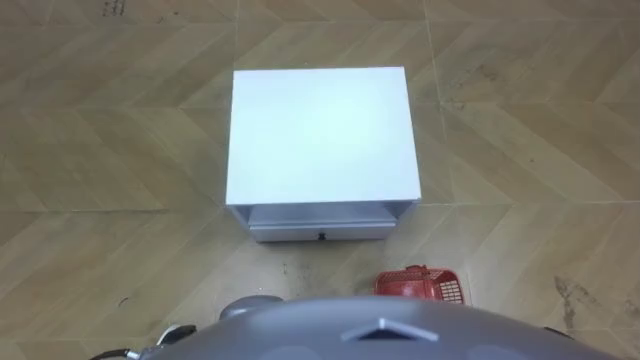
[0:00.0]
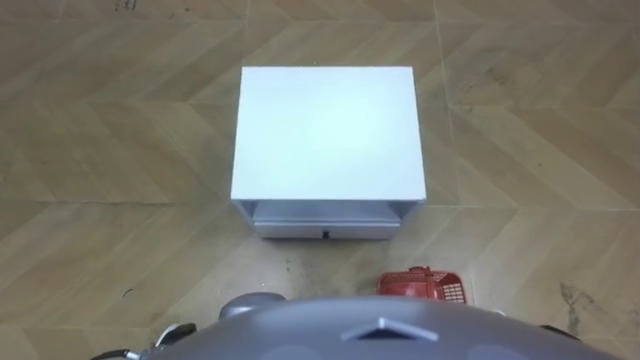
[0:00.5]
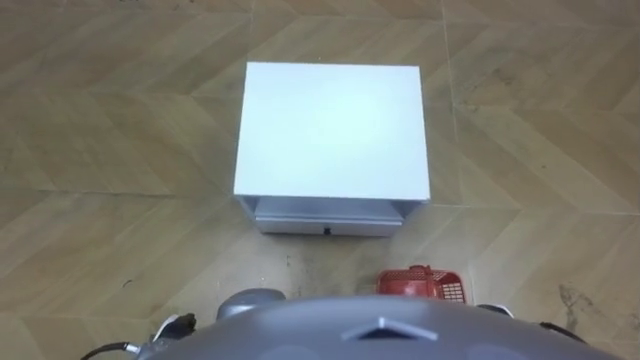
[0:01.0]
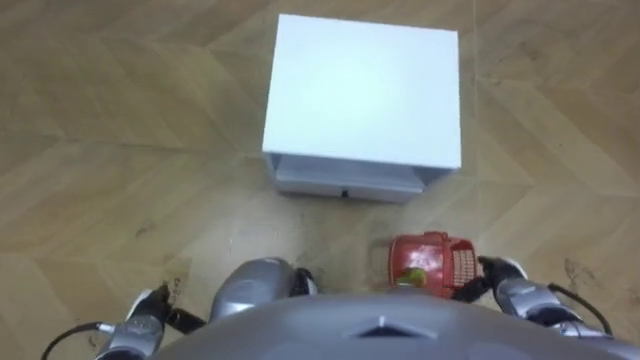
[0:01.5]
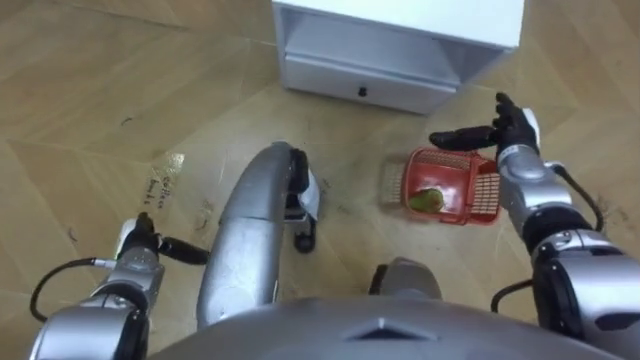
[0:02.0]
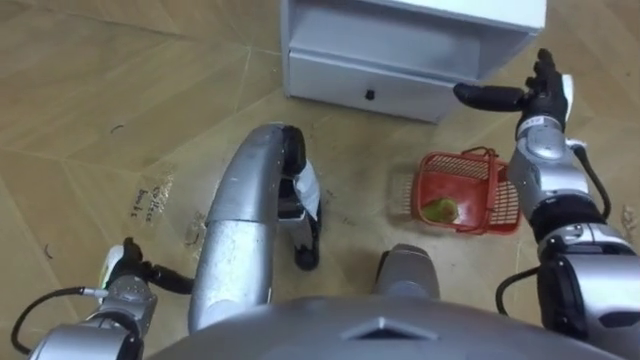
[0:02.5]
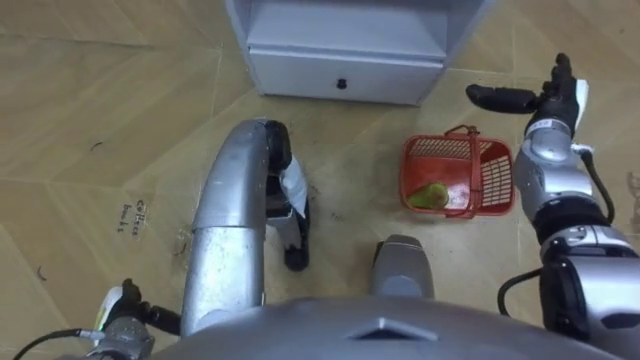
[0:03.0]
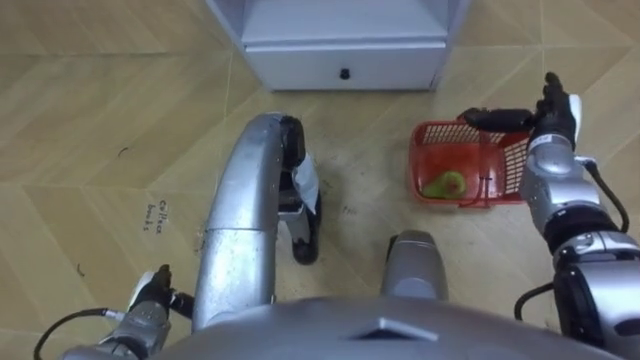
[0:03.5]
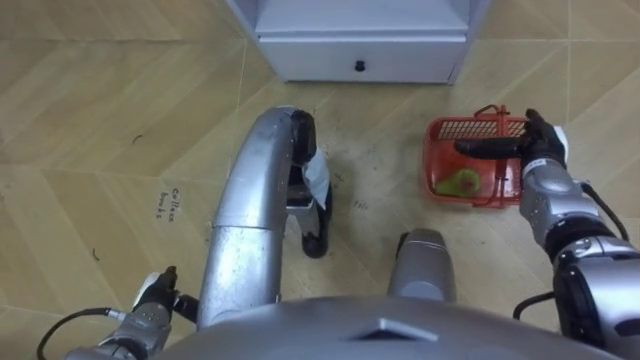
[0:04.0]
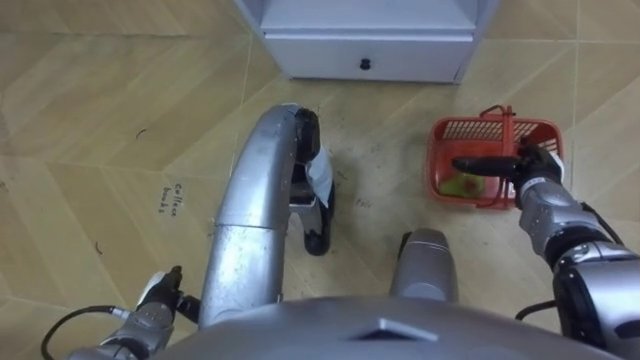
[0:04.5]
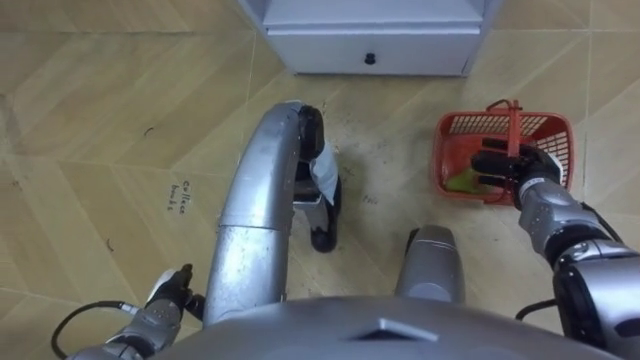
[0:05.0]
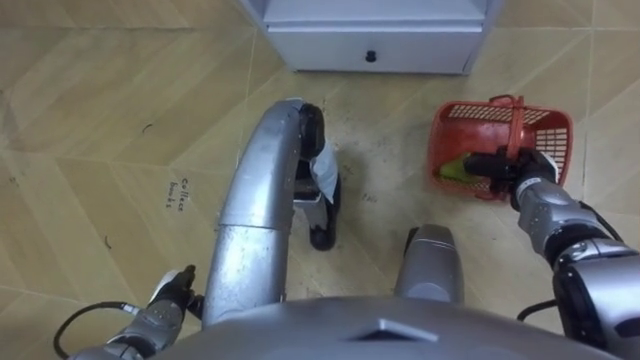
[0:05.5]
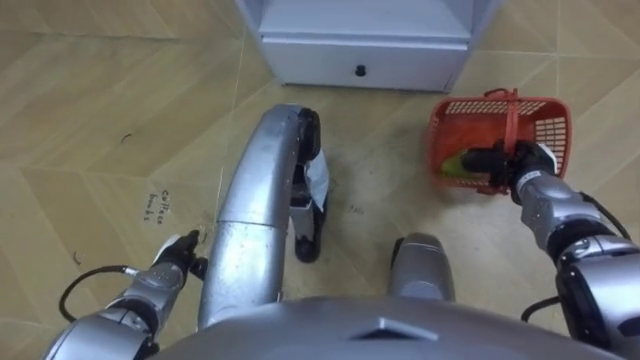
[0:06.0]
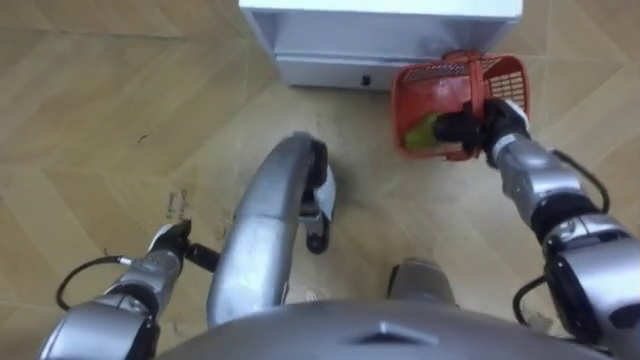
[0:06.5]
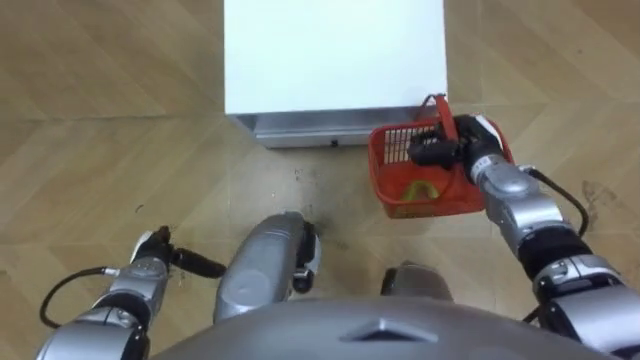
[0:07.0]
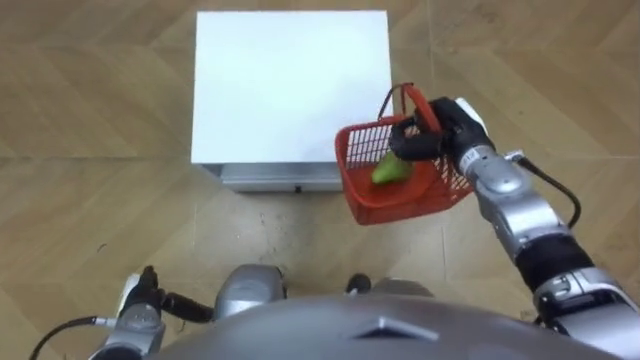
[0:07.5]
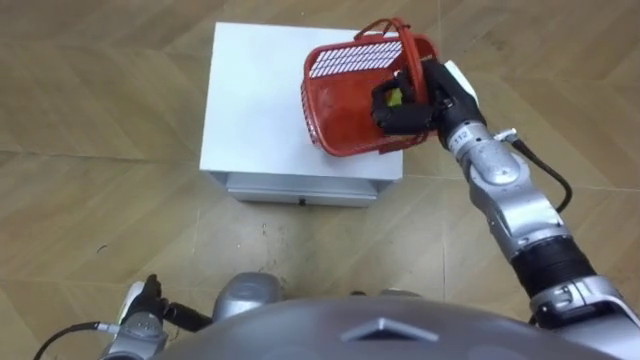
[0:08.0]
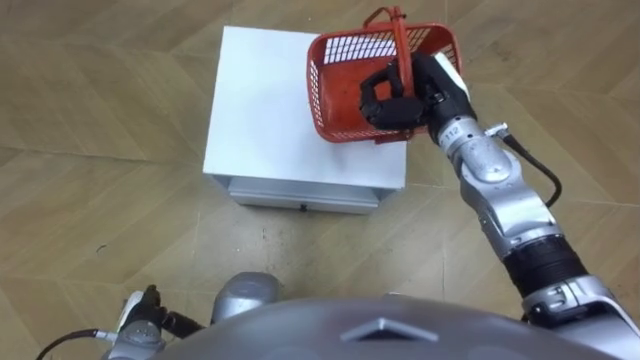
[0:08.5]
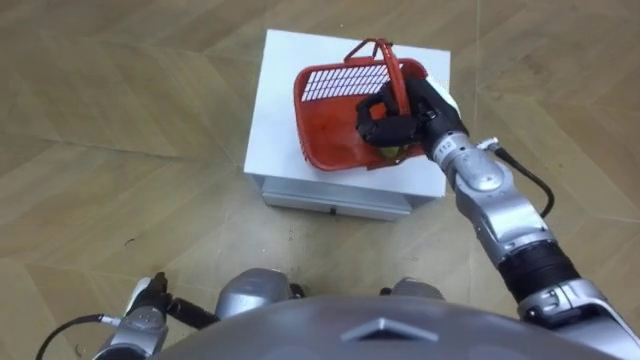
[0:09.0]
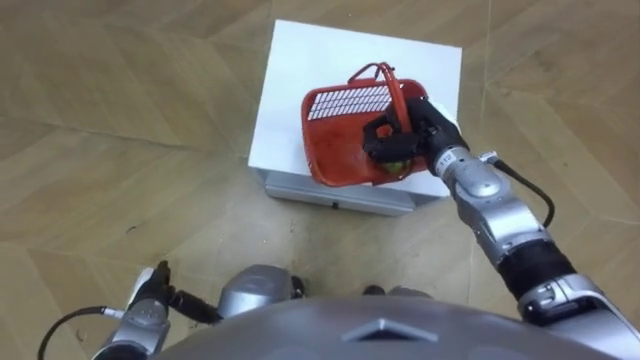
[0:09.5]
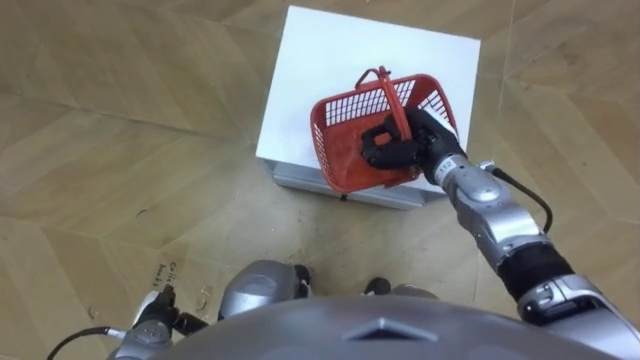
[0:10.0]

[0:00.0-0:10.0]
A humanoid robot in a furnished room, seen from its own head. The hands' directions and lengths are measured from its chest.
Task of the whole recording: Pick up the fruit basket from the floor and place it on the cabinet.
0:02.0 to 0:04.0: The left hand shifts approximately 10 cm backward.
0:04.0 to 0:06.0: The left hand is displaced forward by some 5 cm, while the right hand closes up.
0:06.0 to 0:08.0: The right hand moves to the left, upward and forward, about 20 cm. The left hand is displaced backward by approximately 5 cm.
0:08.0 to 0:10.0: The right hand is displaced downward by some 5 cm.

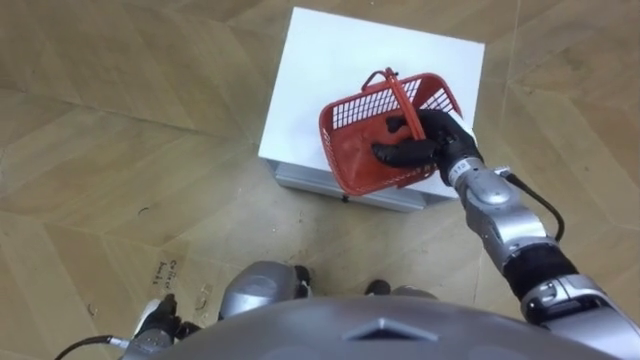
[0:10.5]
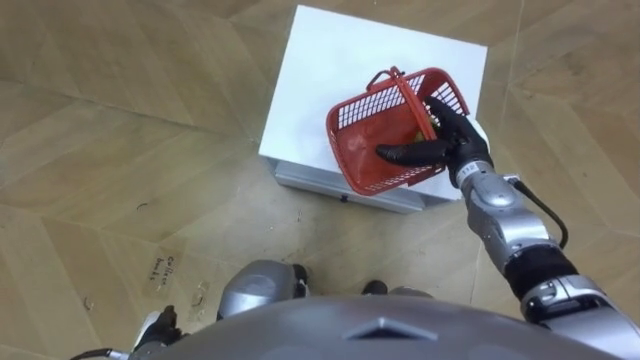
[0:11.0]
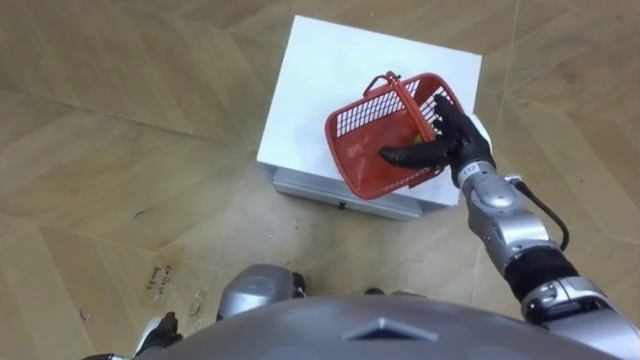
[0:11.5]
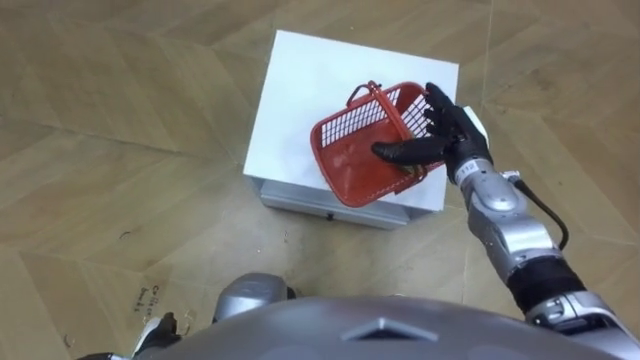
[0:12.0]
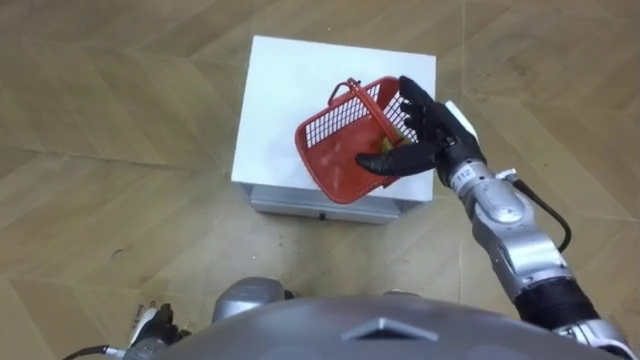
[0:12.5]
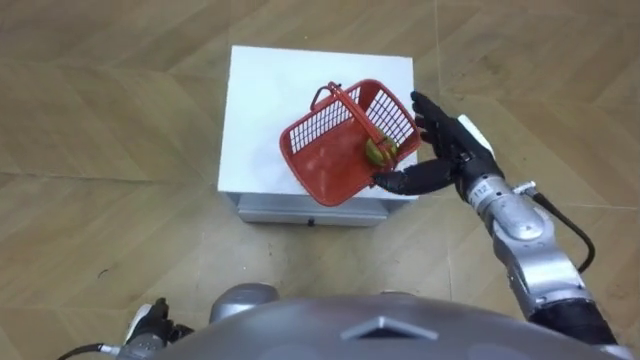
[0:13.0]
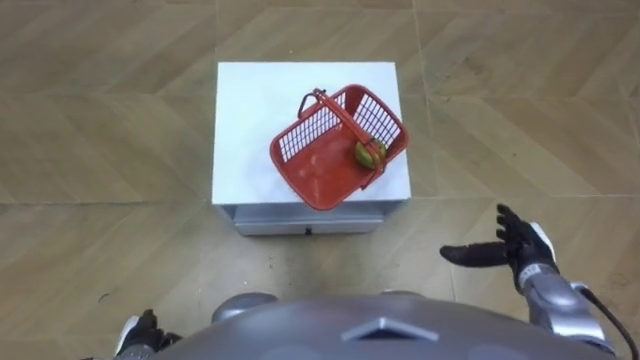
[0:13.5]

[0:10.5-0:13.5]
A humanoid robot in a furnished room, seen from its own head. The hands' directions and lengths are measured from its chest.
Task of the whole recording: Pick up the fruit basket from the floor and place it on the cabinet.
0:10.5 to 0:12.0: The right hand opens up.
0:12.0 to 0:13.5: The right hand is displaced backward, to the right and downward by some 20 cm.

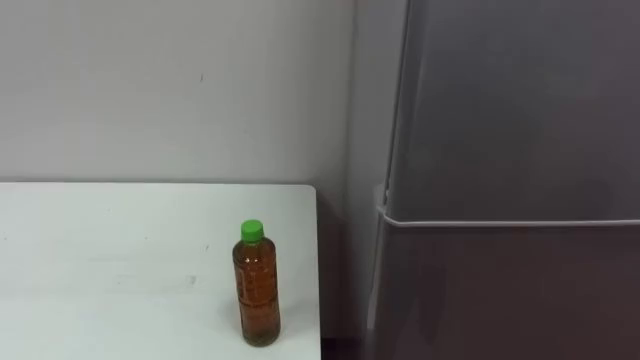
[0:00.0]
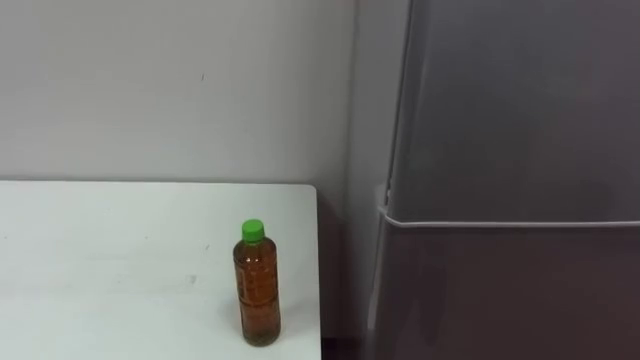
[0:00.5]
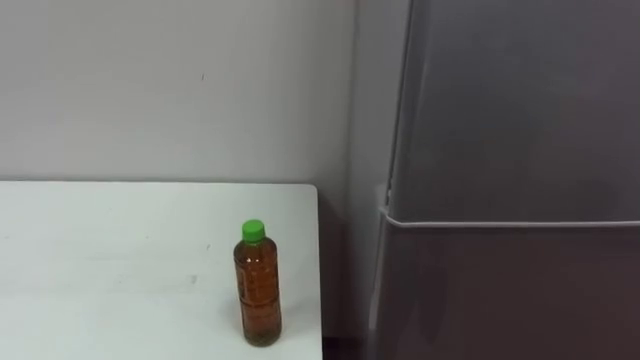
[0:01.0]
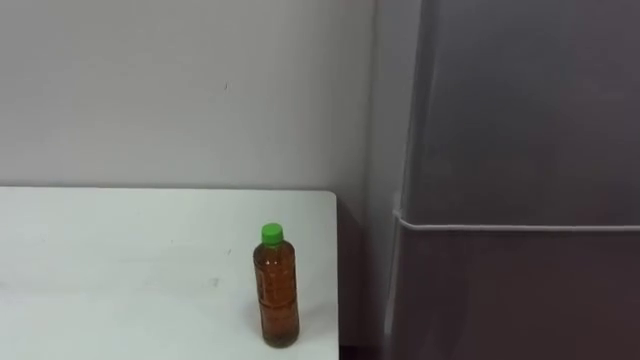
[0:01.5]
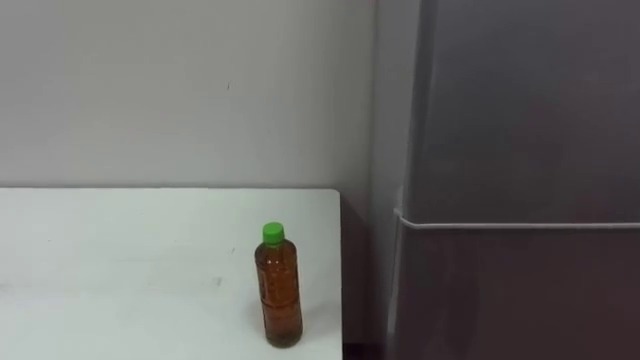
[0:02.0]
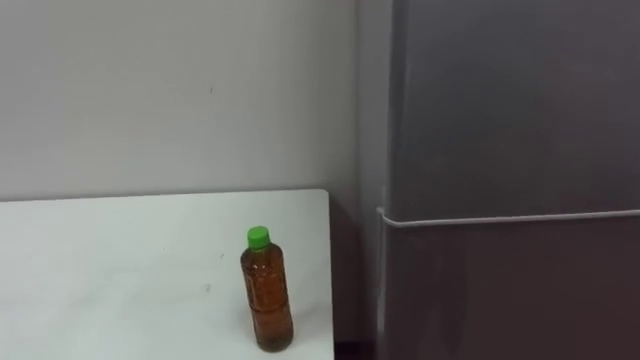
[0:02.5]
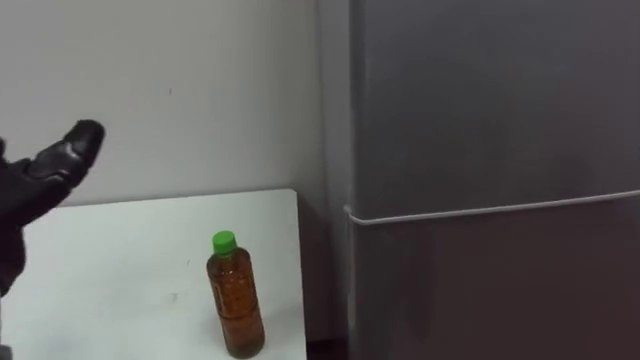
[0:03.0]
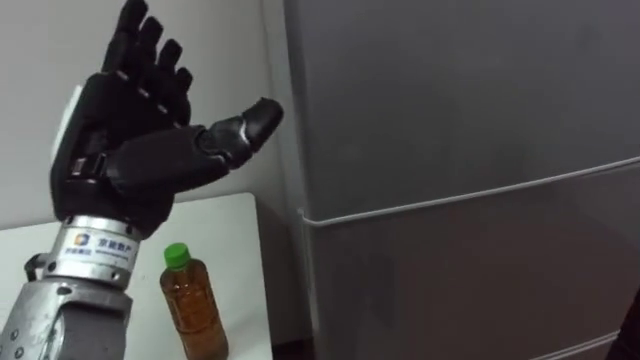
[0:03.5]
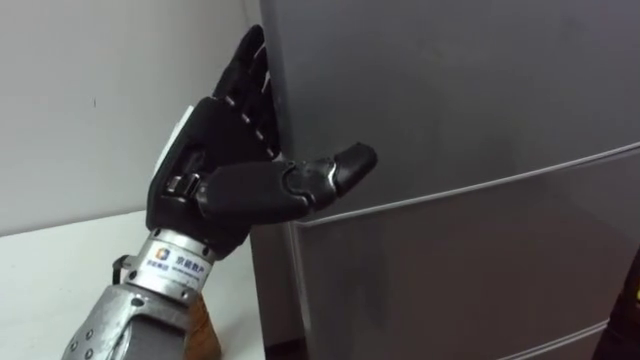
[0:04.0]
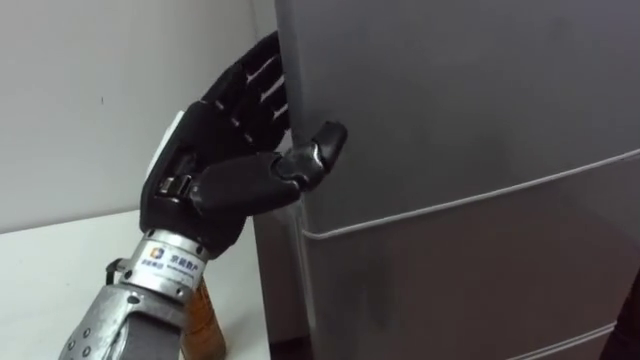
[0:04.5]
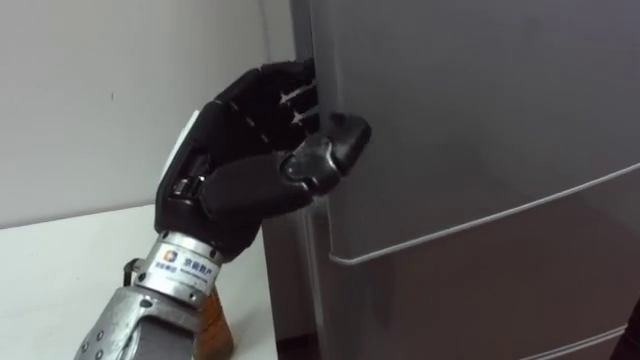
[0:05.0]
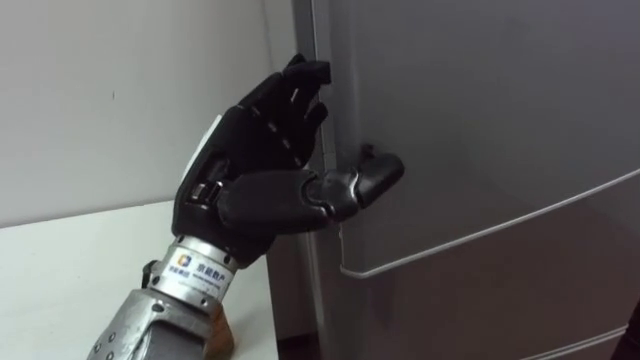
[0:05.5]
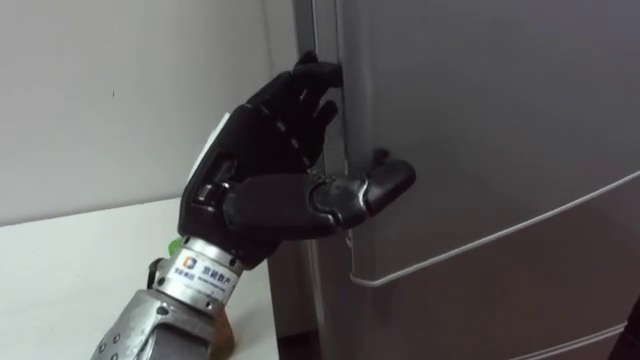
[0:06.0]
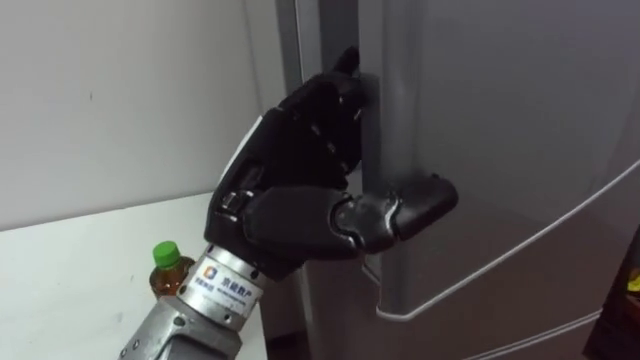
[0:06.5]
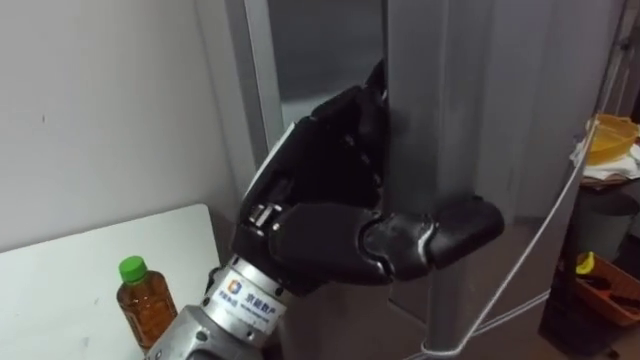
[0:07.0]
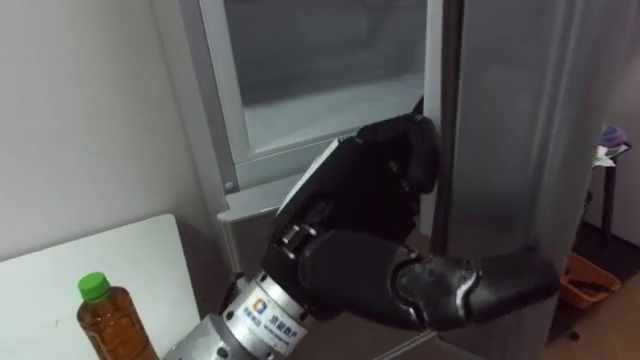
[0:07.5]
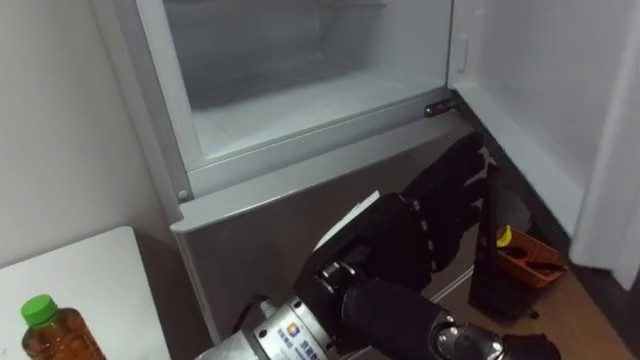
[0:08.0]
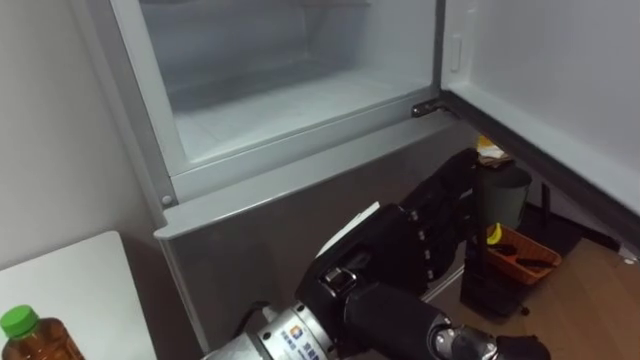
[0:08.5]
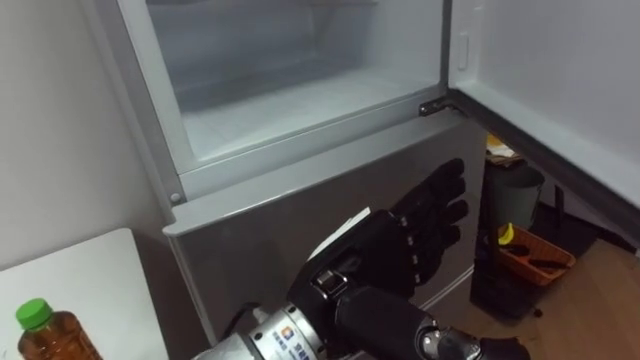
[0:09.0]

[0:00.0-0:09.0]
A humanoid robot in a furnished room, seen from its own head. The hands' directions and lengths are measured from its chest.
Task of the whole recording: Open the upper refrigerator door, put the drink from the table into the refrigerator, and then close the refrigerator door.
0:04.5 to 0:07.0: The left hand is displaced to the right by roughly 10 cm.
0:07.0 to 0:09.0: The left hand travels downward by approximately 5 cm.
